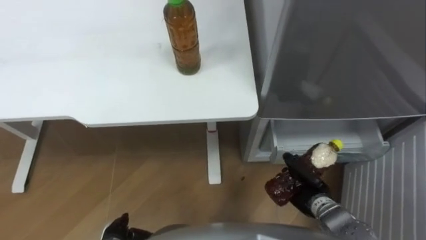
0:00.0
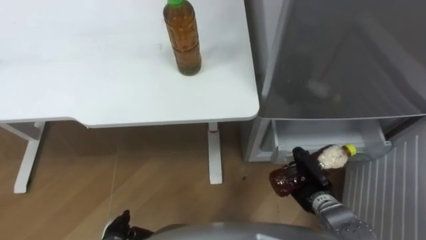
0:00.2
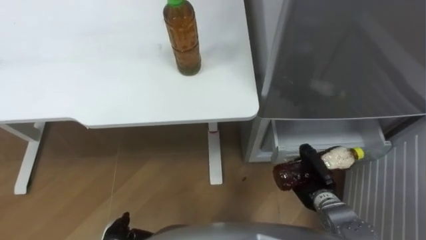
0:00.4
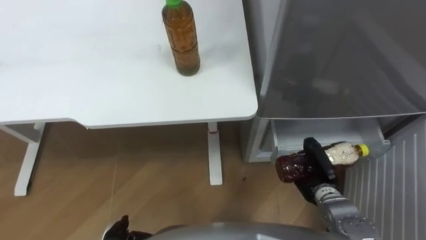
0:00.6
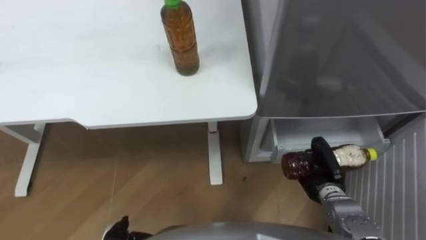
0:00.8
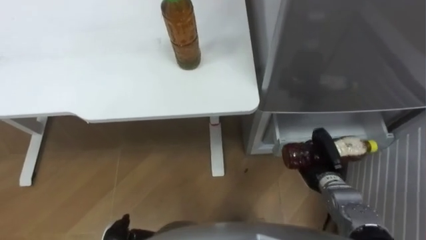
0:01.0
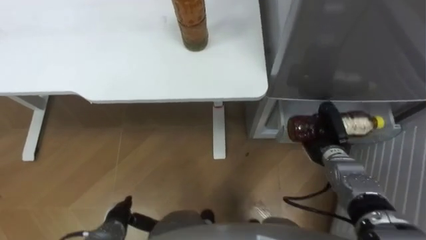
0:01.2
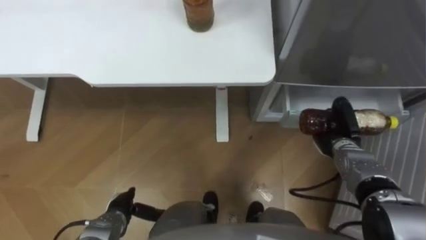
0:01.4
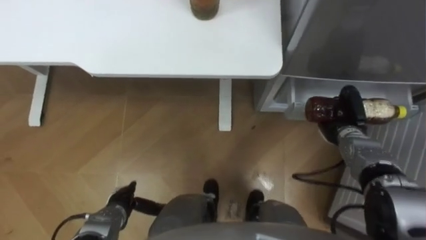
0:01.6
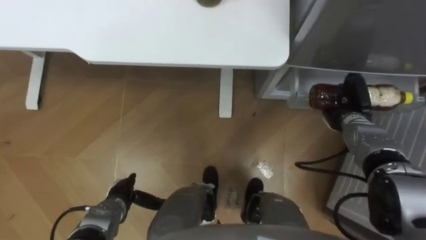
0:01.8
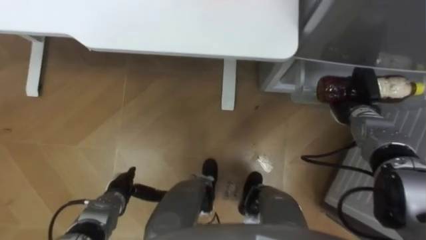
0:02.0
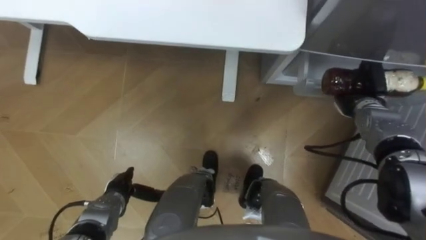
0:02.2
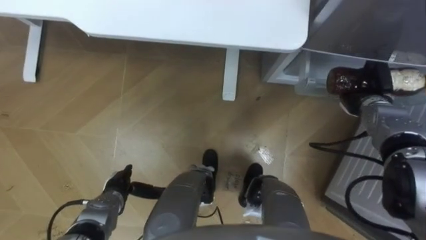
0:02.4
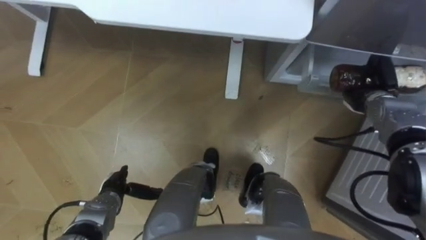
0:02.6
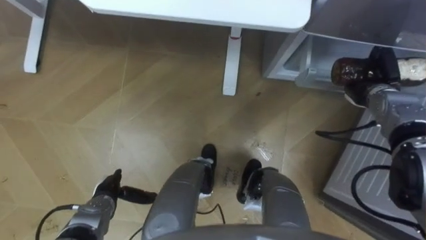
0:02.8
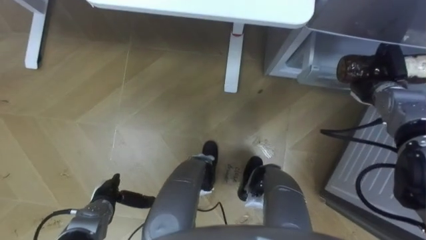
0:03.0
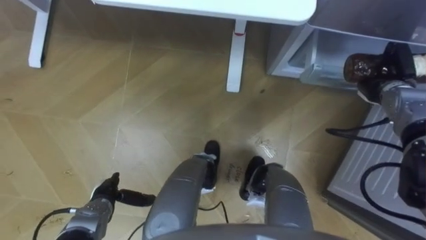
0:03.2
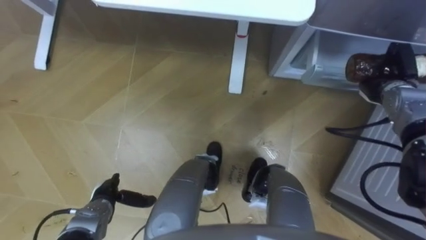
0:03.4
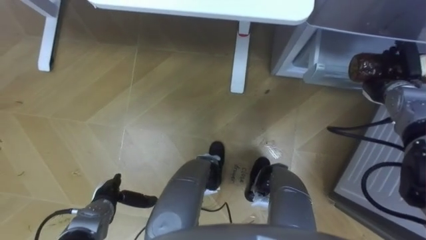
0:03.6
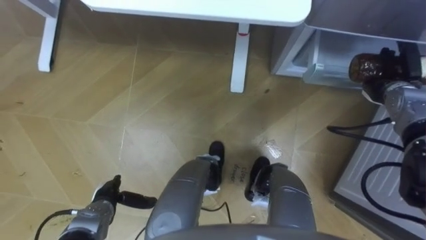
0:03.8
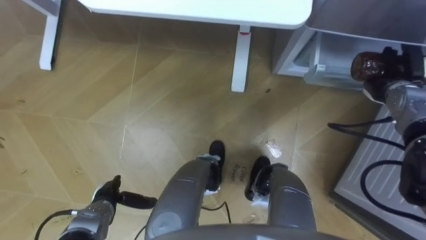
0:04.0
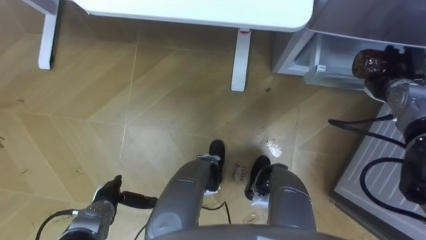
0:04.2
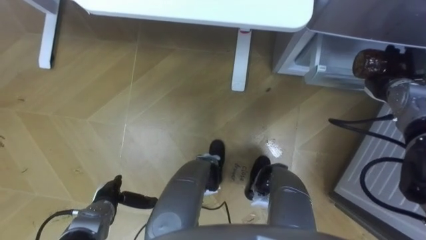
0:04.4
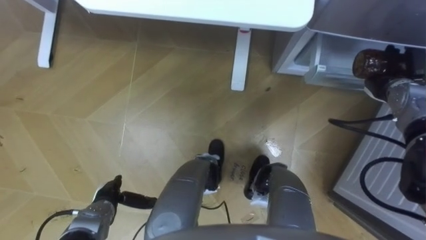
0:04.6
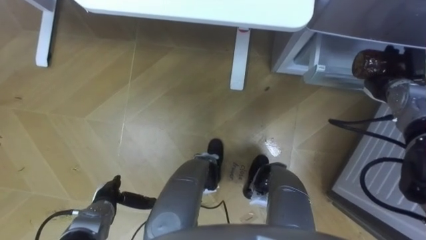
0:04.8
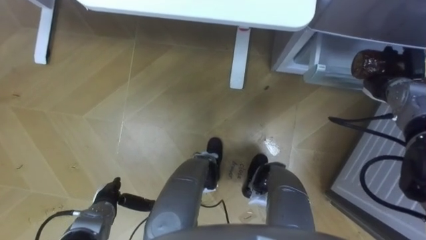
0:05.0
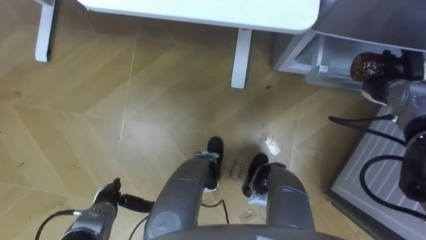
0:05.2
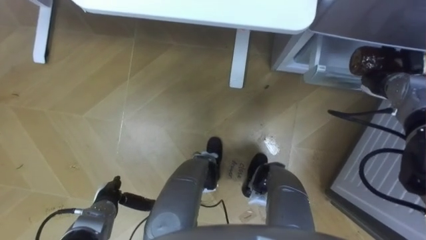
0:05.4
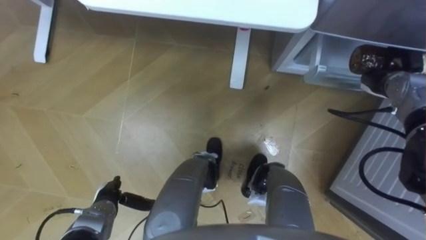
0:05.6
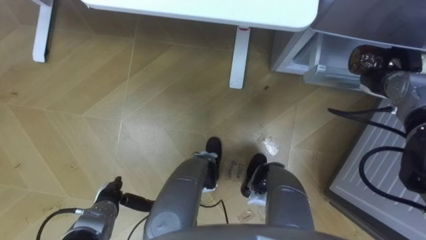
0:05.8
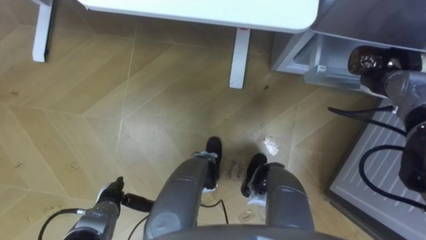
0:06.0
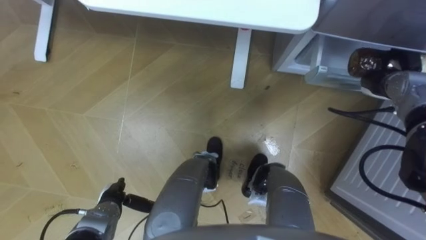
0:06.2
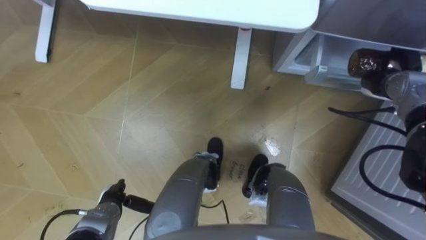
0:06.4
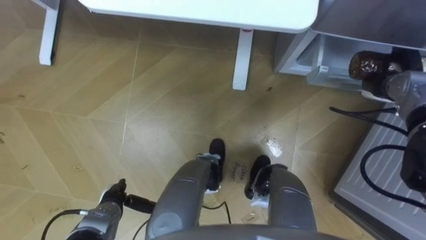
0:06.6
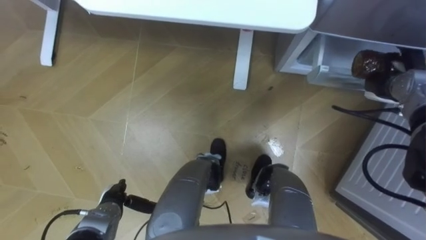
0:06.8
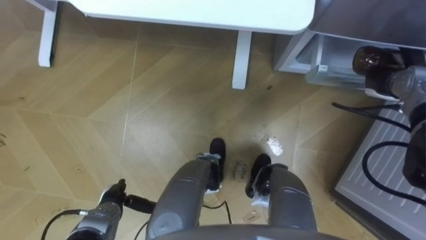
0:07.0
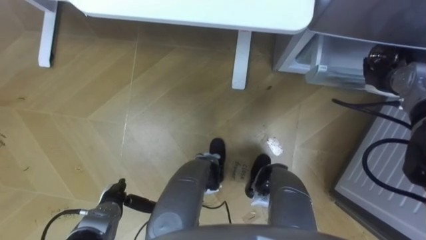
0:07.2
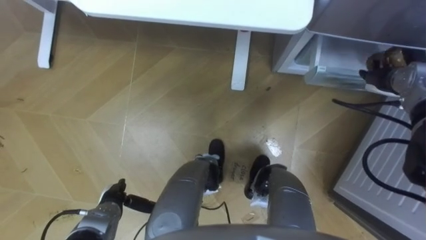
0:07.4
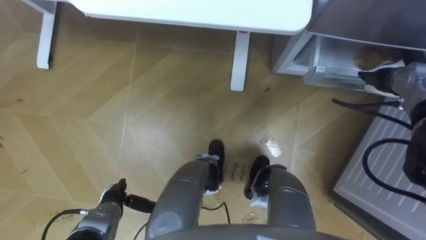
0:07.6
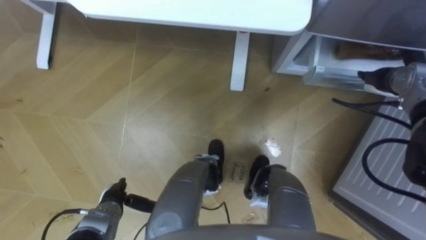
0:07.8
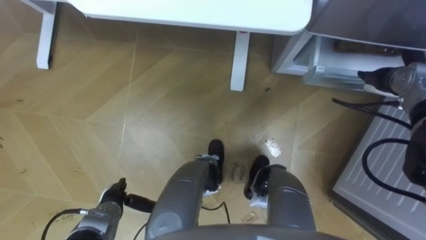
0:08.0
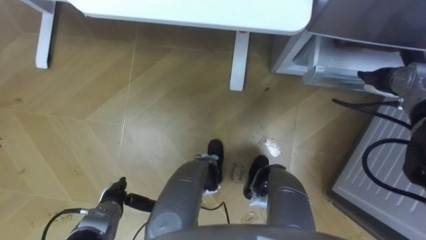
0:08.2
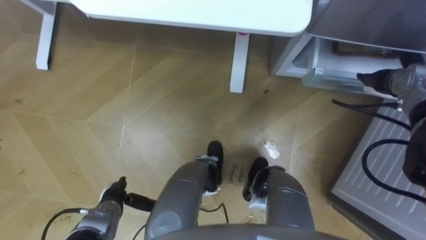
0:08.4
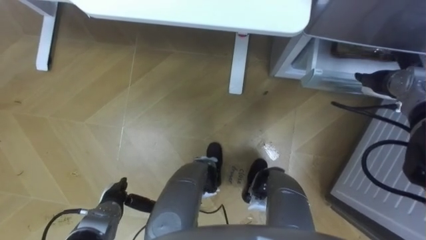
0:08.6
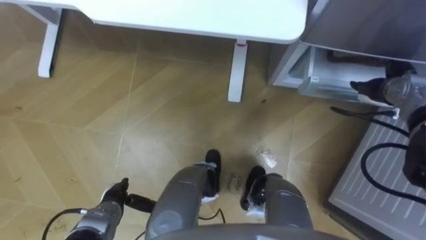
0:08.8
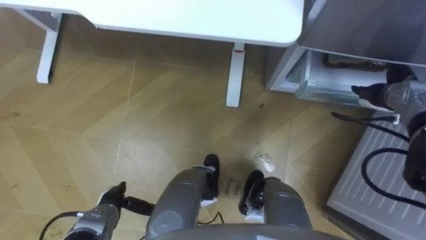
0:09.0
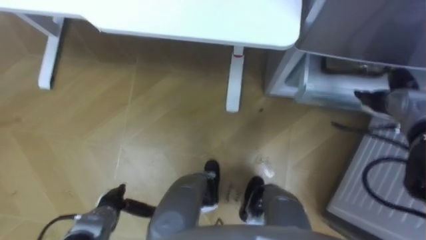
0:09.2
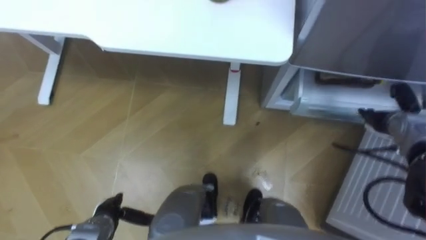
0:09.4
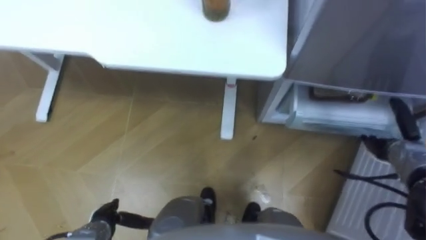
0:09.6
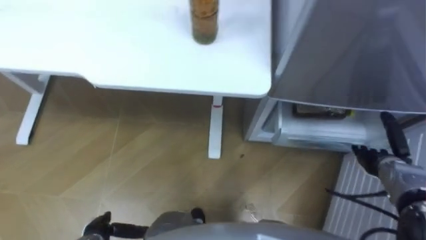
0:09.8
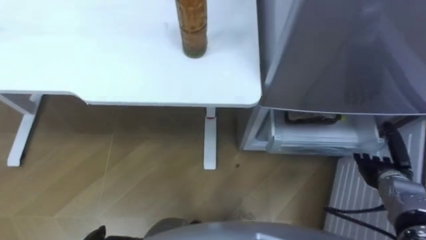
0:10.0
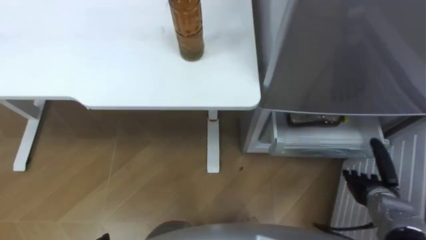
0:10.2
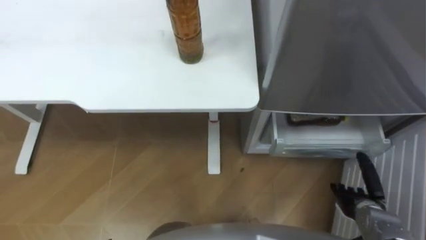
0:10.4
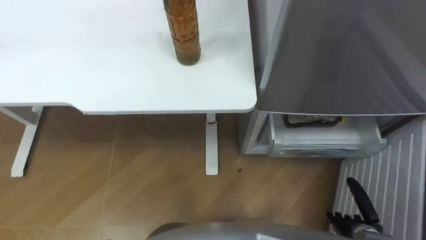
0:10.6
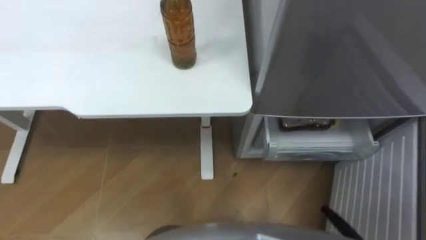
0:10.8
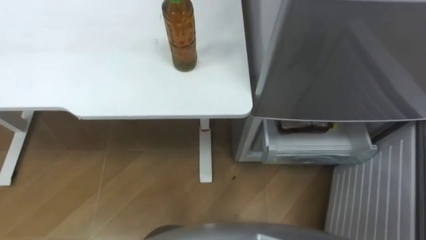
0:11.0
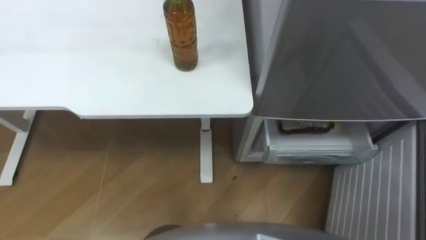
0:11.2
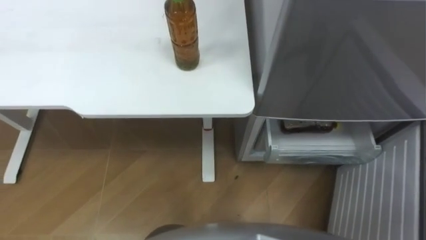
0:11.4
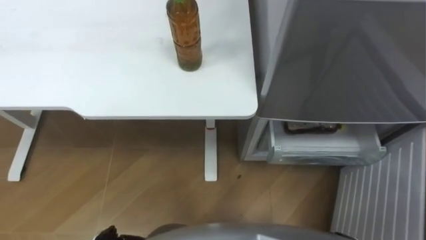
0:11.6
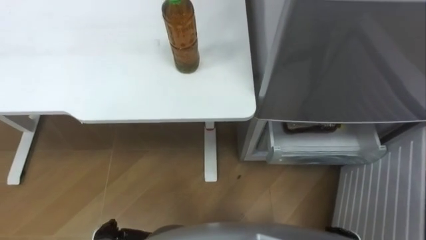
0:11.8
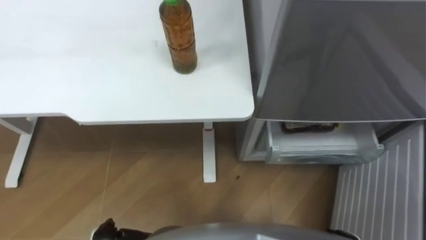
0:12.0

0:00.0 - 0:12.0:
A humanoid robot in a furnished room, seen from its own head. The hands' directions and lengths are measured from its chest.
Task of the whole recording: Place the drink on the table on the bottom shelf of the refrigerator, then close the drawer and the refrigerator door.
0:00.0 - 0:01.6: The right hand travels forward, to the right and upward by roughly 15 cm.
0:01.6 - 0:03.0: The right hand moves upward, forward and to the right, some 10 cm.
0:04.4 - 0:06.0: The hands stay close to where they were, moving slightly.
0:06.0 - 0:07.6: The right hand opens up.
0:09.0 - 0:10.4: The right hand heads backward and downward, covering roughly 25 cm.

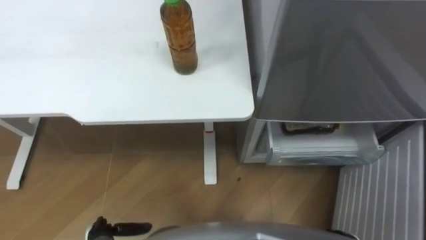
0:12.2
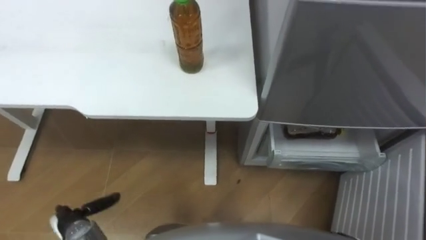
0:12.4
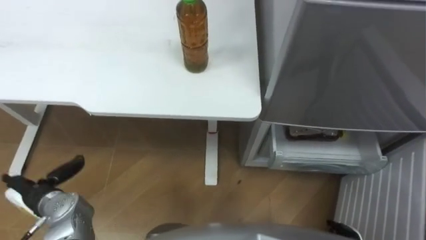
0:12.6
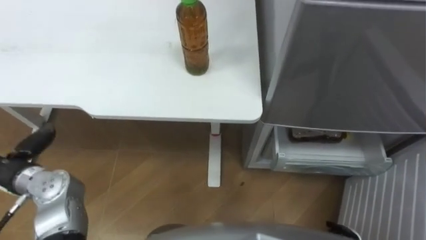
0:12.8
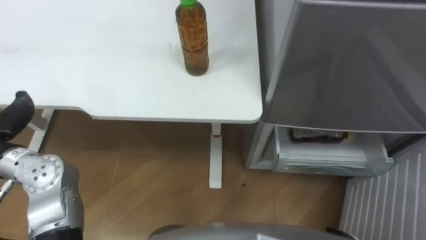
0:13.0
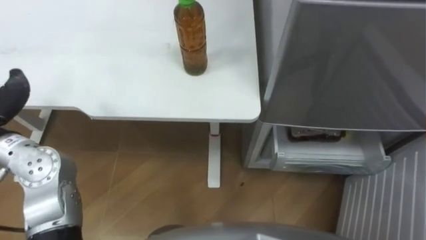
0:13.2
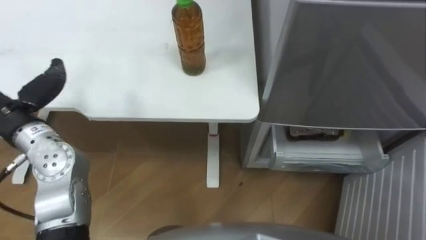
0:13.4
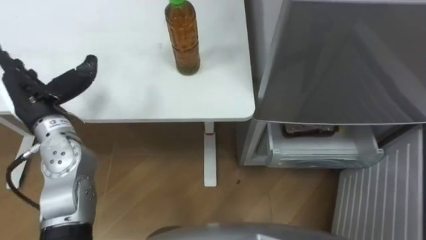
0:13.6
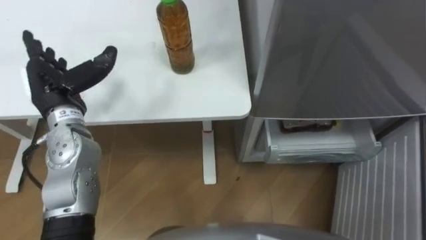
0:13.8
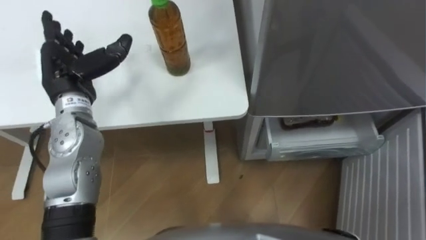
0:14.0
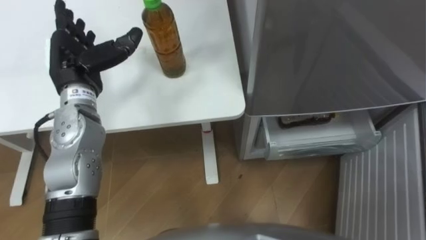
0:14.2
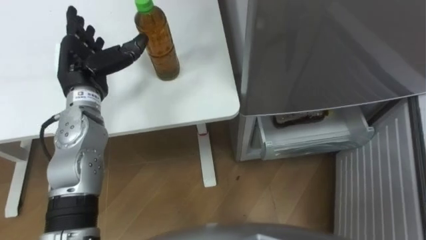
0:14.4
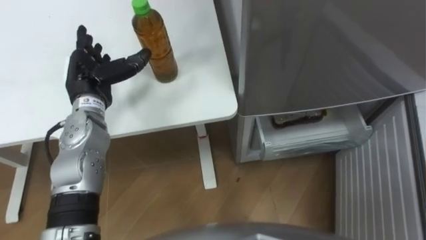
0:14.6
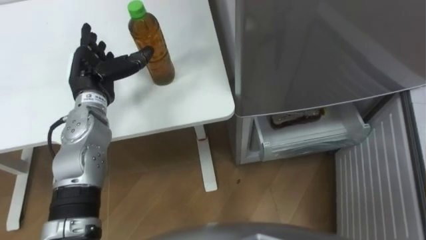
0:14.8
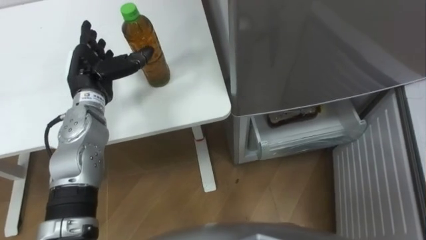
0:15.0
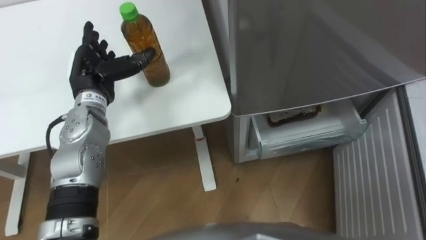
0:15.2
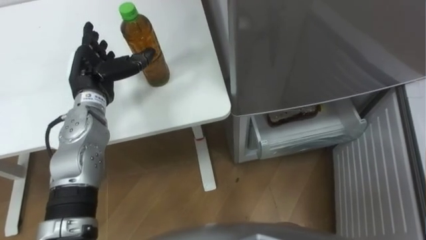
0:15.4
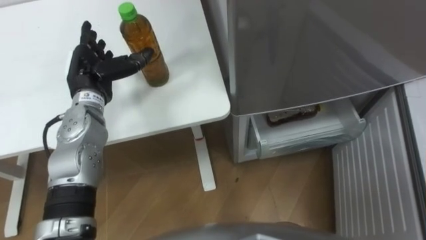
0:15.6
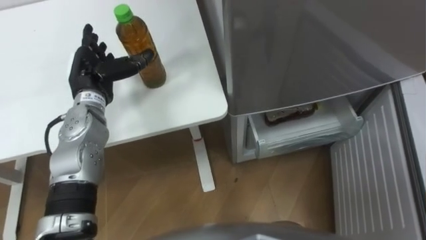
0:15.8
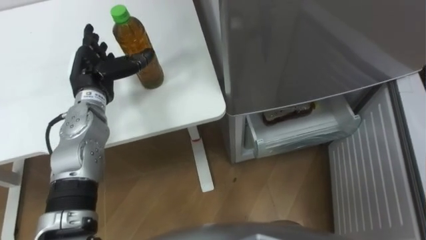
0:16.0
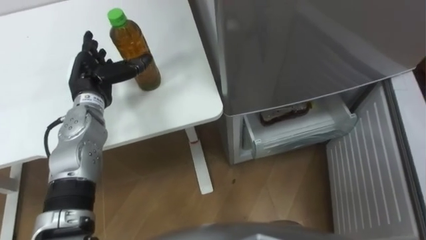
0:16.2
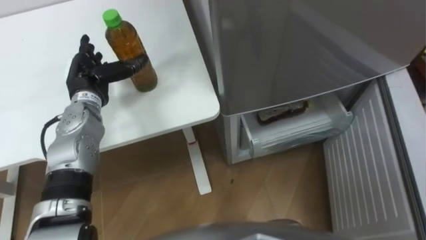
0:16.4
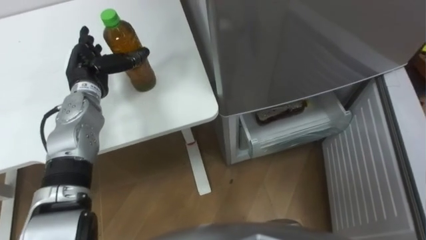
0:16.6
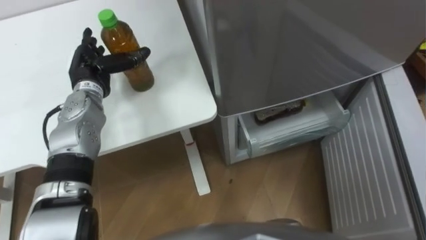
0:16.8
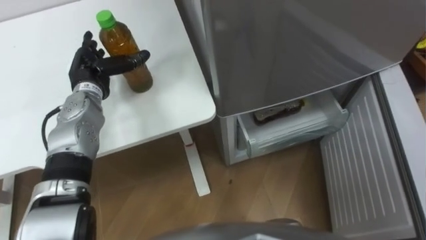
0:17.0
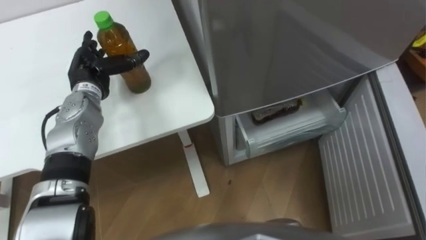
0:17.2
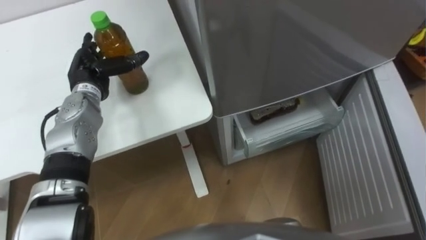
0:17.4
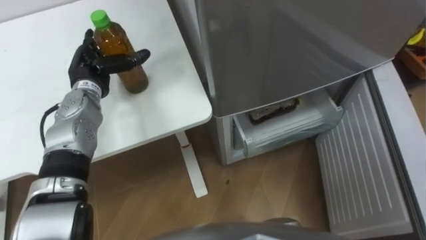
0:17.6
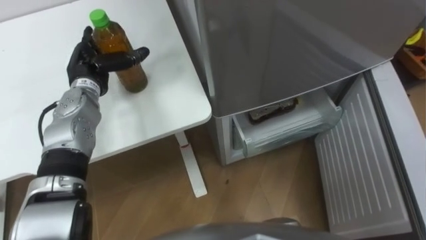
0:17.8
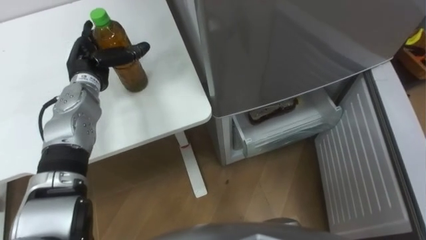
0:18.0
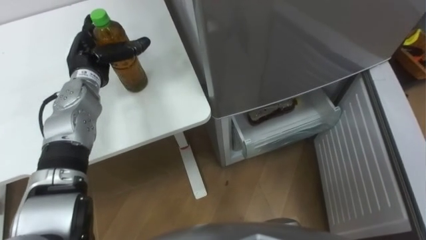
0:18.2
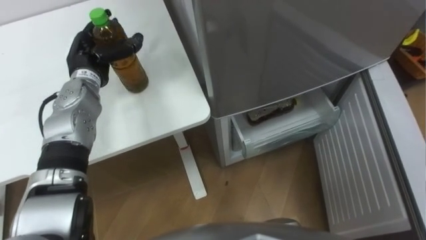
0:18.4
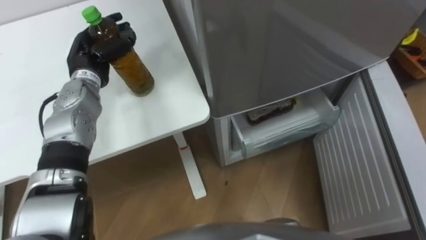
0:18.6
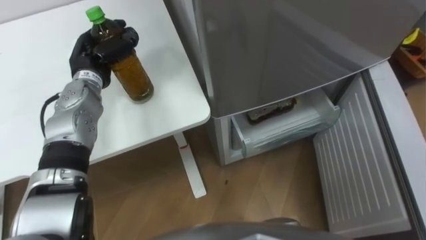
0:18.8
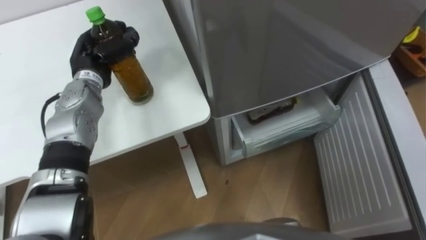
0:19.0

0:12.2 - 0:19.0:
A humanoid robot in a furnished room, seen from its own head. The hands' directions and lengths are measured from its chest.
Task of the whole recording: Place the drink on the table on the bottom shelf of the refrigerator, then close the drawer and the refrigerator door.
0:13.6 - 0:15.0: The left hand goes about 10 cm forward and to the right.
0:17.6 - 0:19.0: The left hand closes its fingers.
